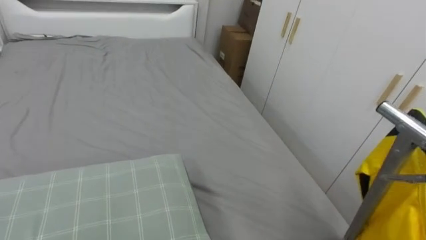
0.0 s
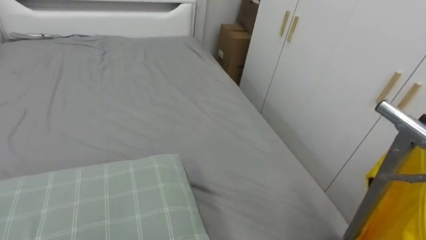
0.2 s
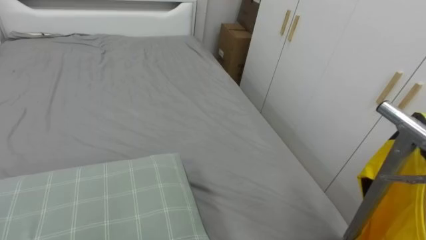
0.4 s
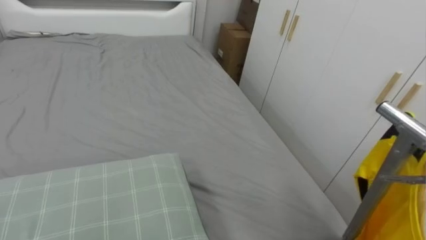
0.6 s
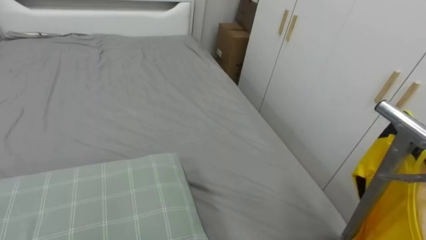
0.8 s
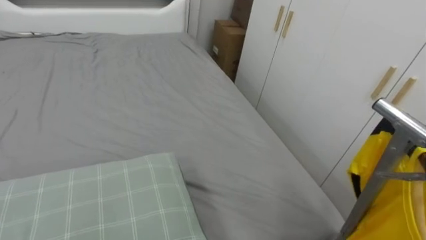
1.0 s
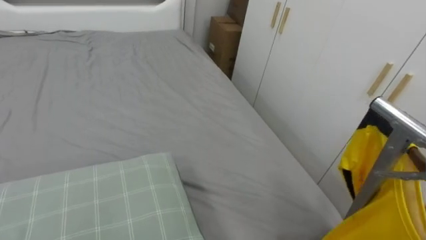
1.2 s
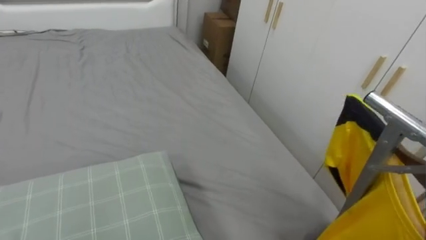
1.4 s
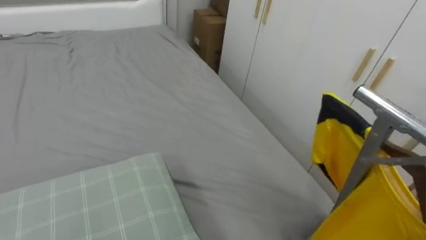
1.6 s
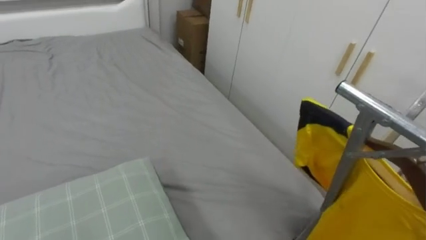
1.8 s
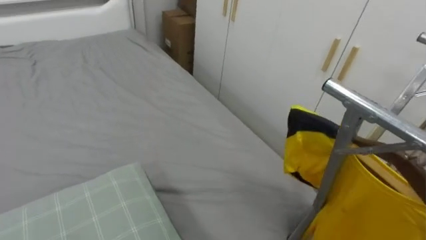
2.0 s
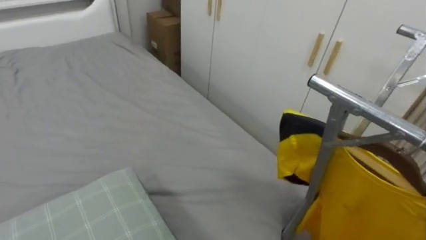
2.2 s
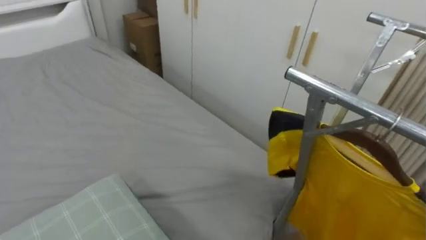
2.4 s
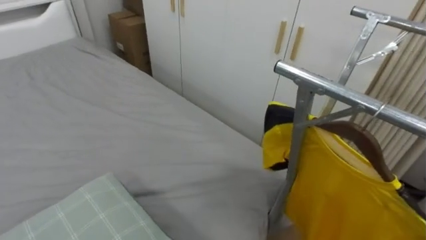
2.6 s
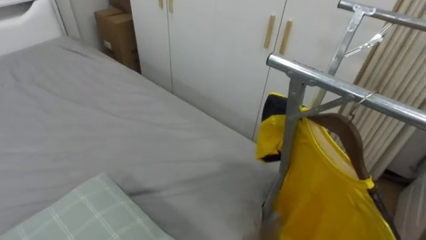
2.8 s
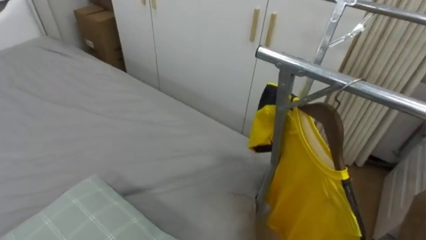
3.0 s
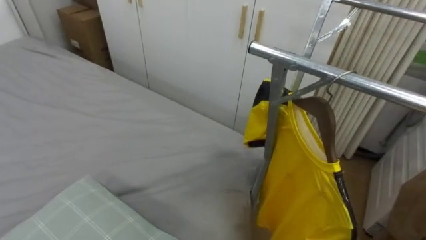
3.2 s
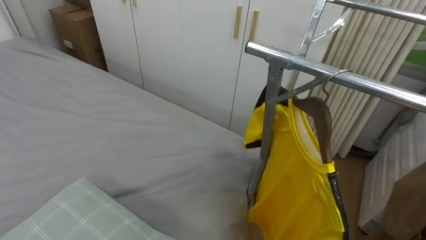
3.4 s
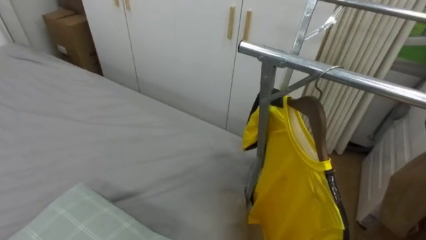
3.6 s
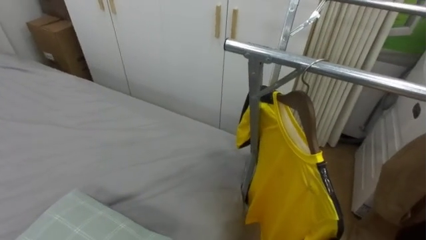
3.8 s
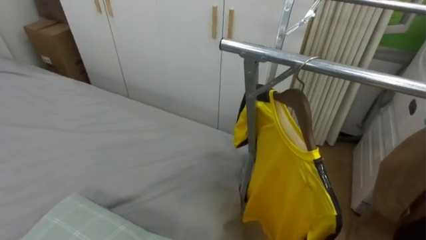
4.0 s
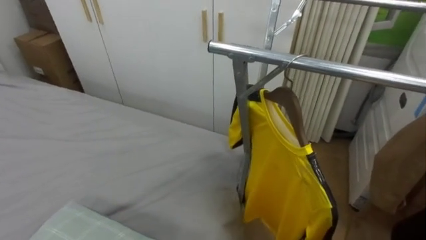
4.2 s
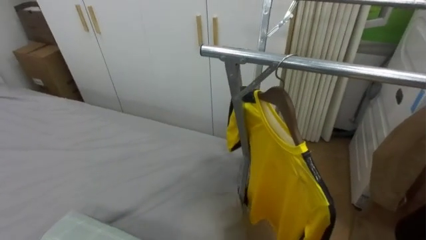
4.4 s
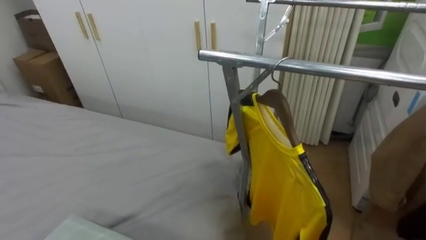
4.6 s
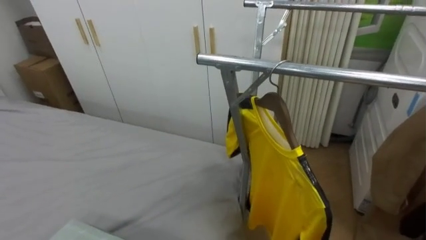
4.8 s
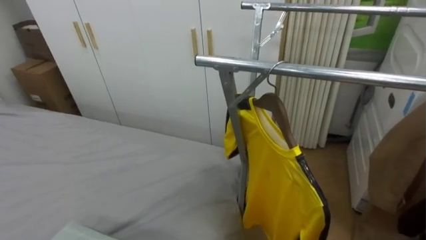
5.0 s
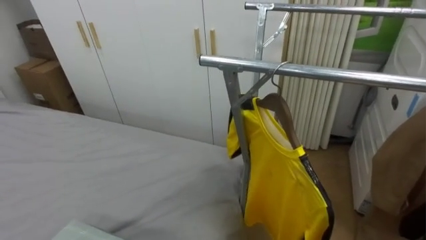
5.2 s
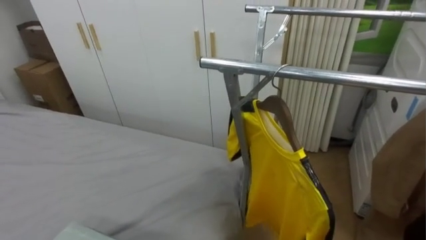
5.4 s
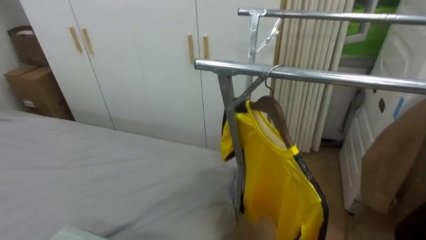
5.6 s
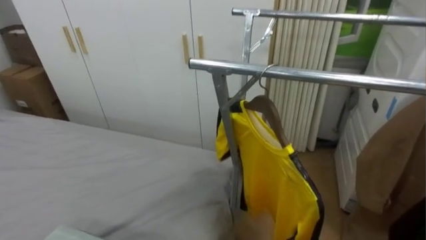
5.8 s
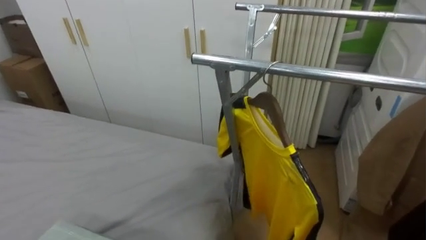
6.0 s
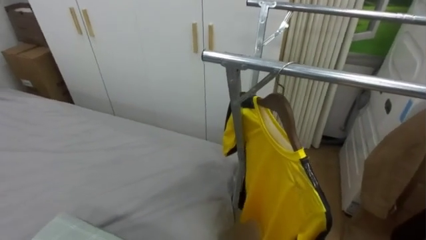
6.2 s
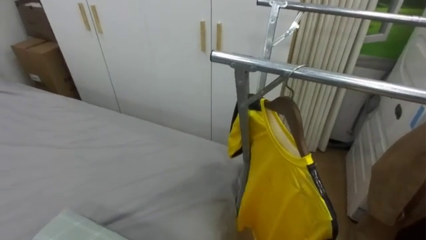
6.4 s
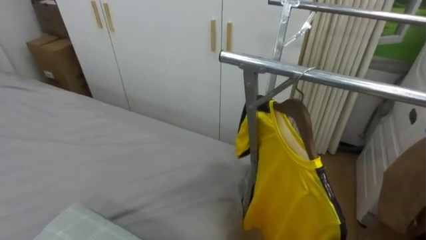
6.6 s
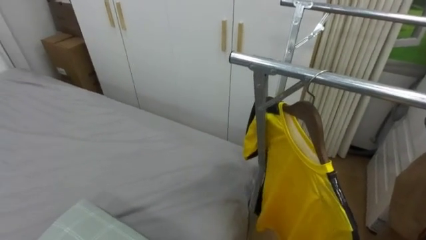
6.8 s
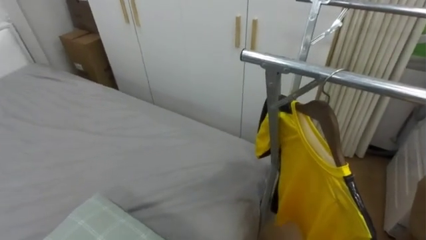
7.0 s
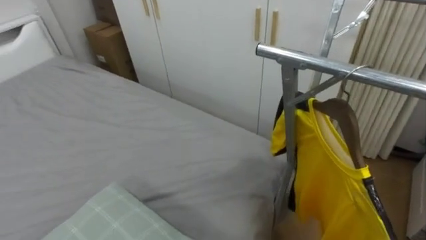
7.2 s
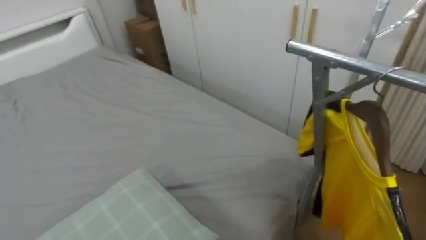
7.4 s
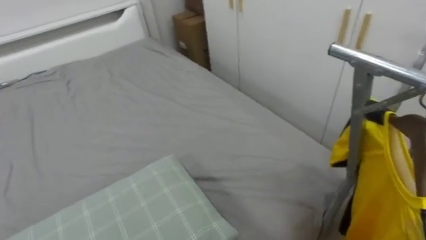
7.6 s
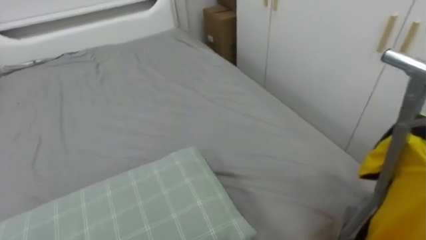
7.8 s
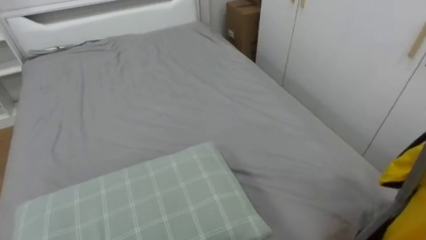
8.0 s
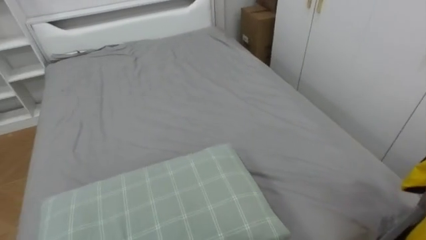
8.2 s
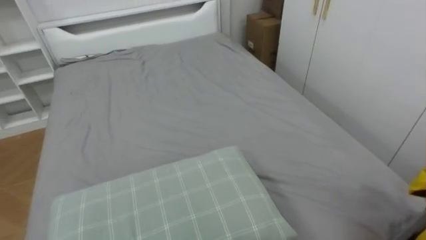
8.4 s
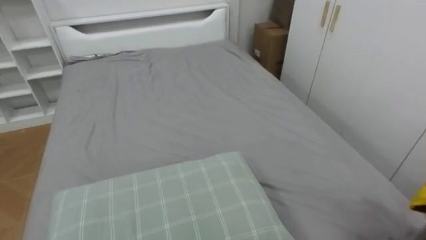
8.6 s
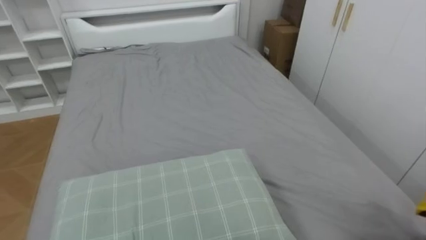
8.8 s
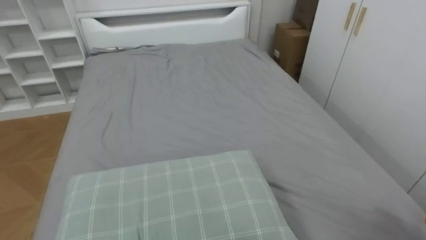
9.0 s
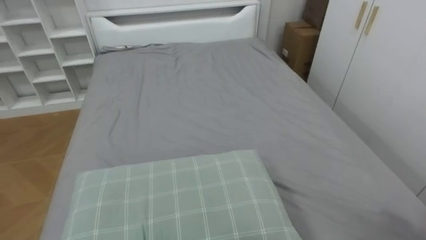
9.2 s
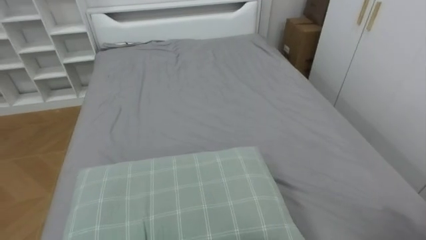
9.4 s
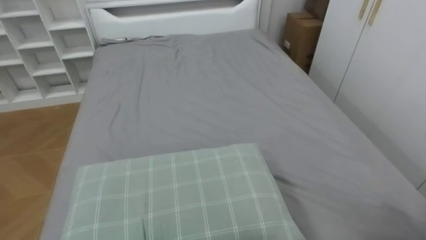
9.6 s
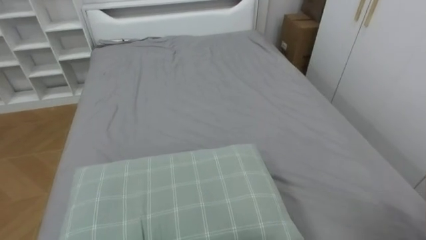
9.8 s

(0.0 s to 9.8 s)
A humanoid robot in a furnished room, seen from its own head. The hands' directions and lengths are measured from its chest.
Task of the whole recording: Pick up the yellow shirt on the bed and hang it on the clothes rack on the right.
1.4 s - 2.8 s: The robot turns to its right by roughly 15 degrees.
7.0 s - 8.4 s: The robot rotates roughly 35 degrees to its left.

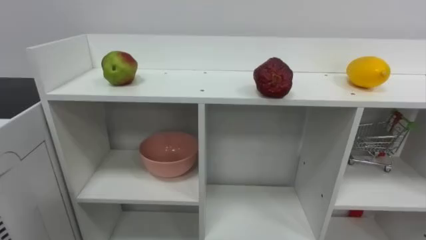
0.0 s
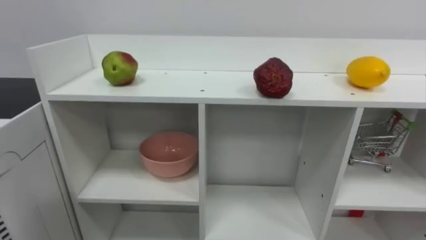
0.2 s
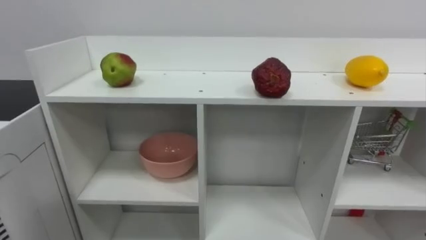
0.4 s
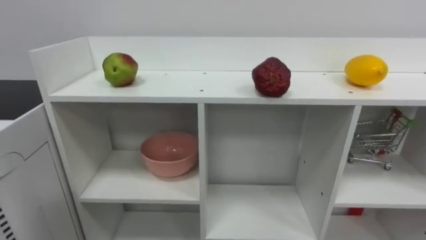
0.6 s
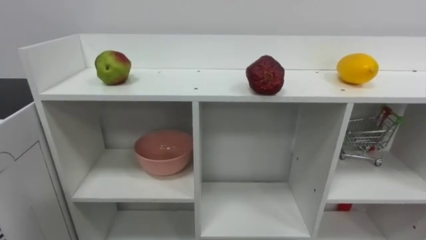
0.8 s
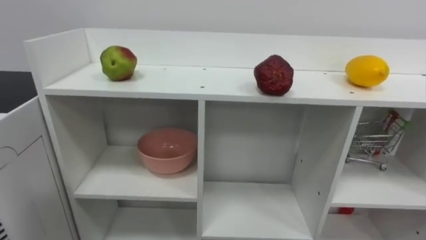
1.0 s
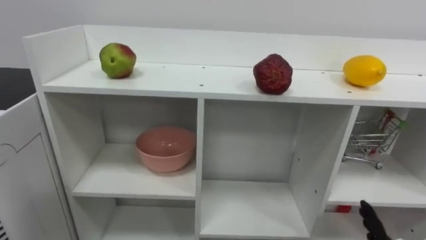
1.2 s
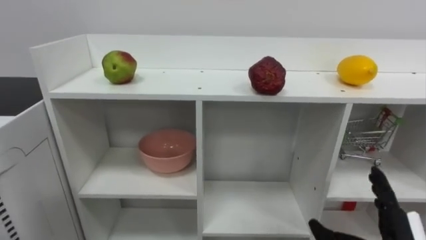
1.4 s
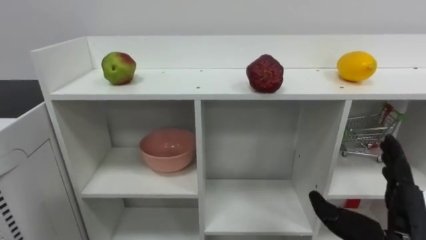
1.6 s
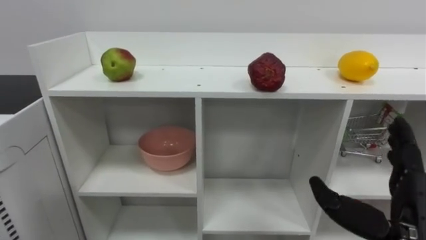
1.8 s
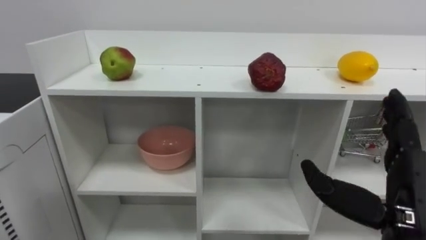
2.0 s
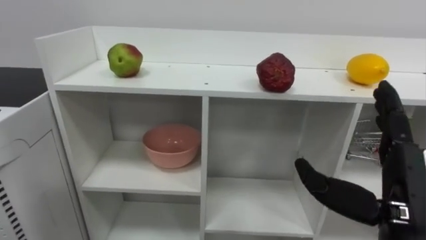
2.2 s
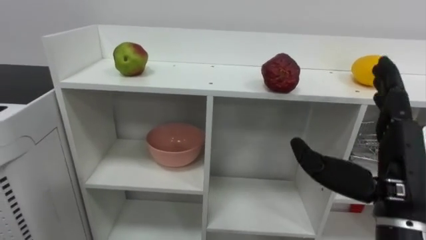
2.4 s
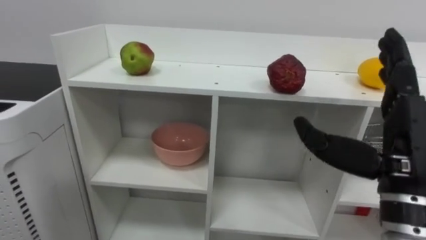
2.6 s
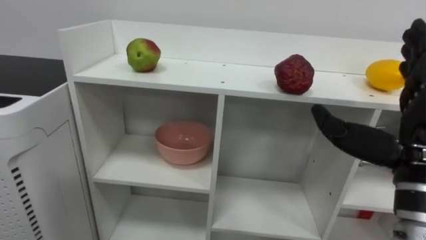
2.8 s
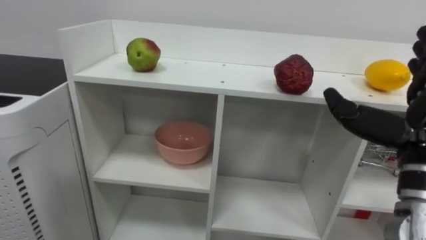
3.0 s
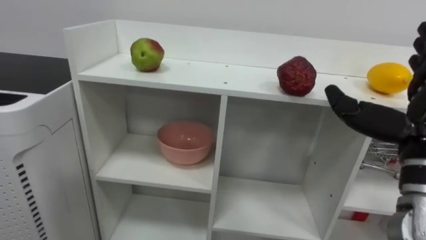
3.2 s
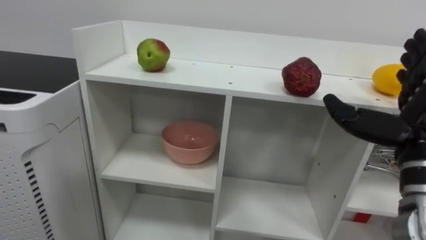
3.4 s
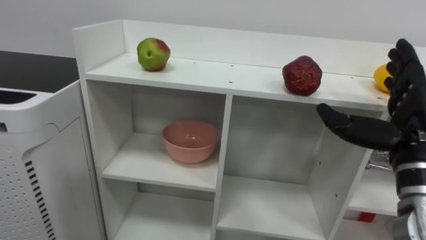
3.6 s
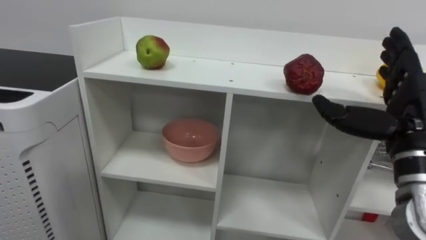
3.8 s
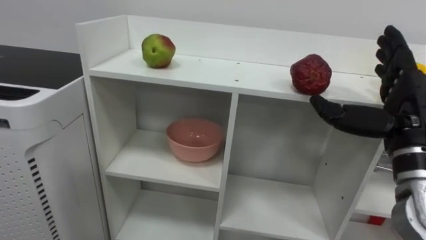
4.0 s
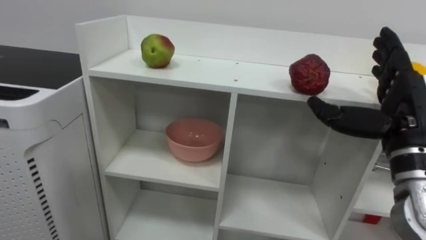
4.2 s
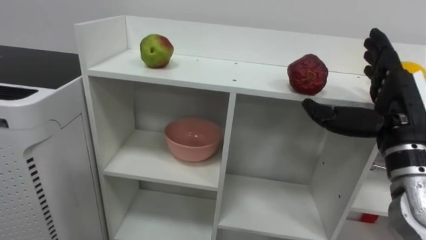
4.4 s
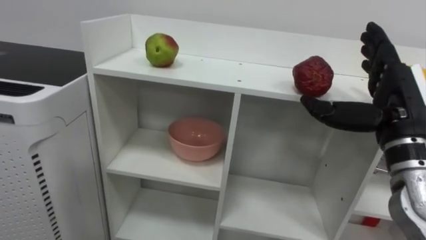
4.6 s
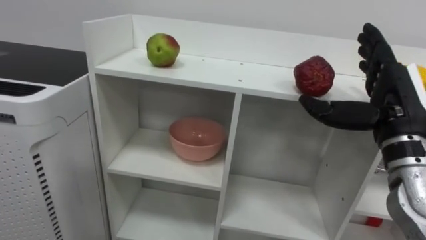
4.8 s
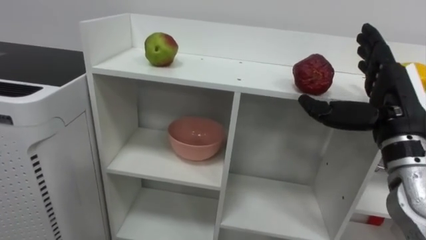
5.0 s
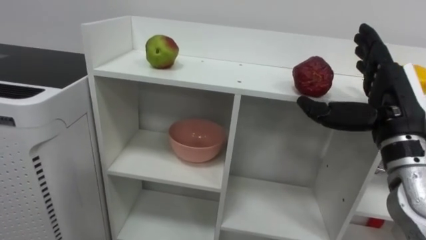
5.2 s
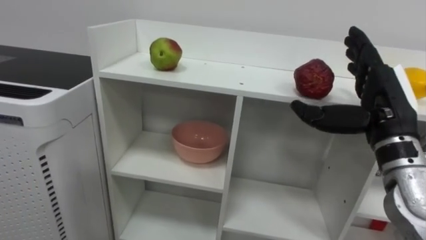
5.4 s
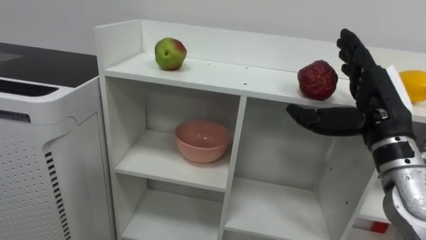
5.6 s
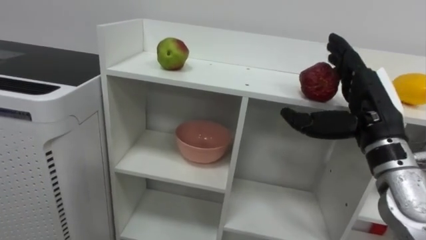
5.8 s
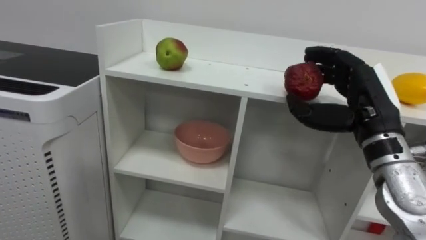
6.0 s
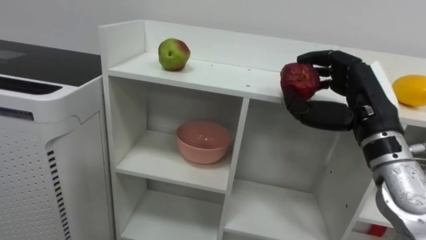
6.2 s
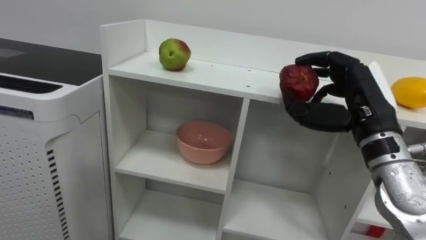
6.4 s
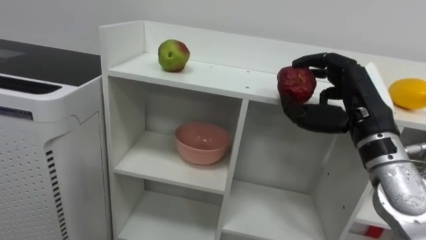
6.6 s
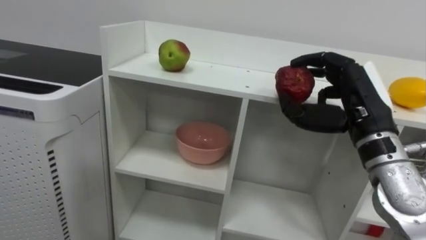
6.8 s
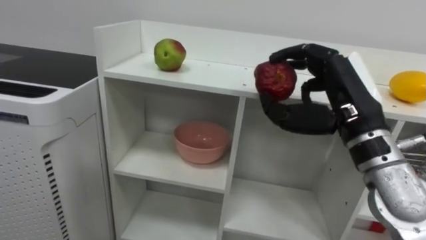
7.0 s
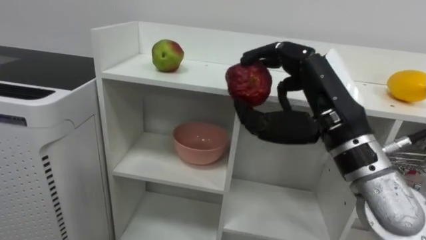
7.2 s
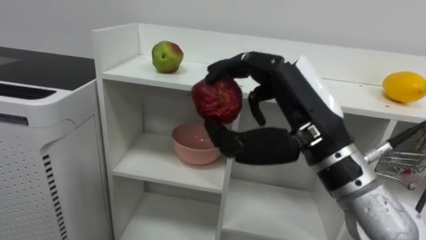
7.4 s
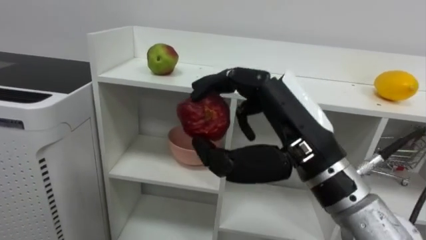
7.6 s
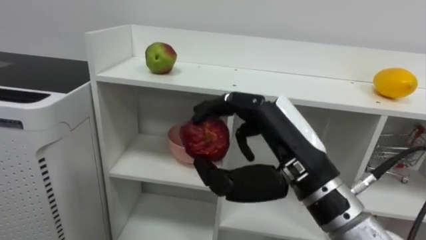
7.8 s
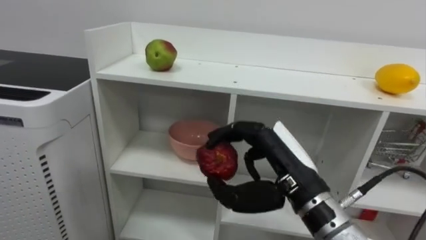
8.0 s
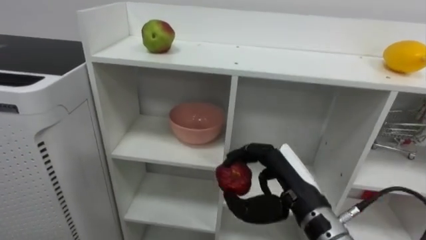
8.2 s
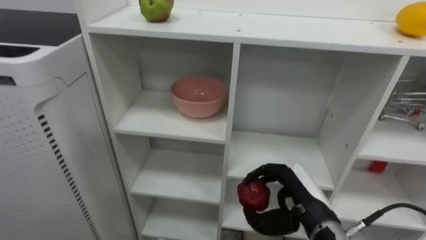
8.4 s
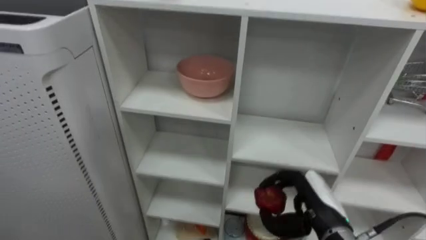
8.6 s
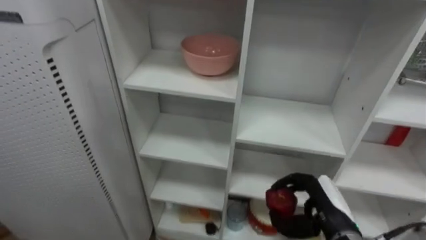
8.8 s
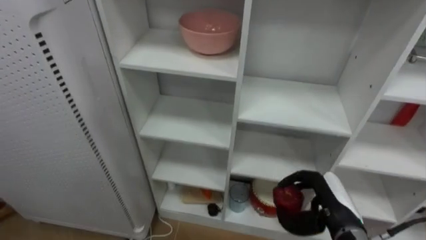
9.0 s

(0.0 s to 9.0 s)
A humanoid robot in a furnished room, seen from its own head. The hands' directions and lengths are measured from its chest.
Task of the whole recording: Put the apple in the cell in the second column from the left and the second row from the top.
1.6 s - 3.0 s: The right hand shifts approximately 15 cm upward.
6.0 s - 7.6 s: The right hand travels to the left and backward by about 15 cm.
7.6 s - 9.0 s: The right hand is displaced downward and to the right by some 25 cm.
